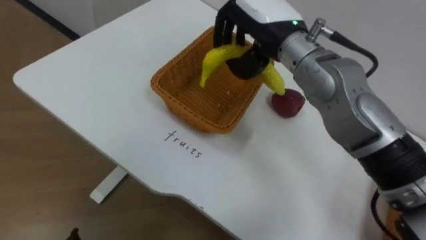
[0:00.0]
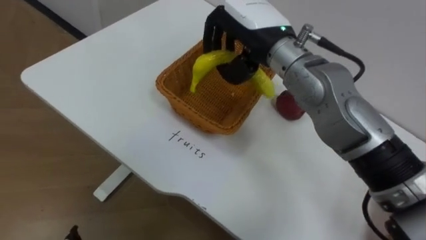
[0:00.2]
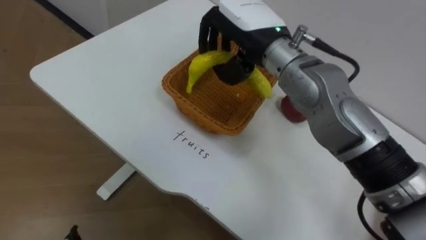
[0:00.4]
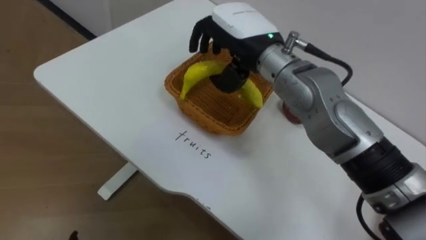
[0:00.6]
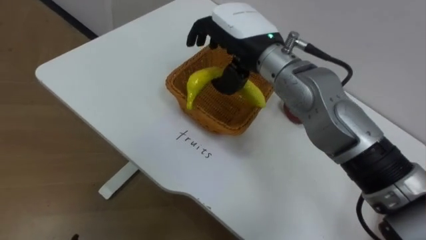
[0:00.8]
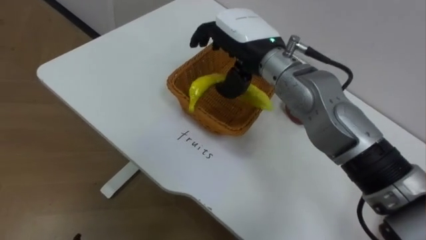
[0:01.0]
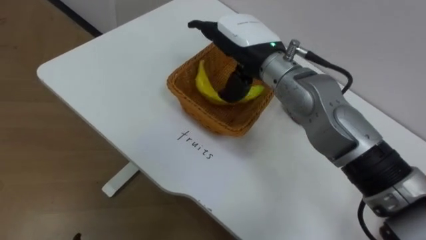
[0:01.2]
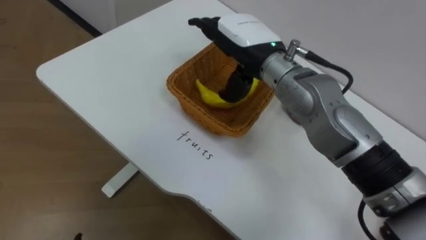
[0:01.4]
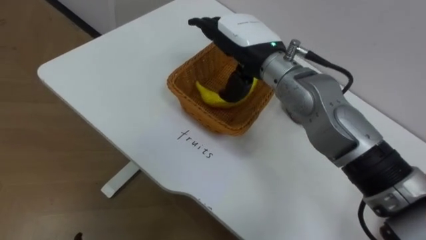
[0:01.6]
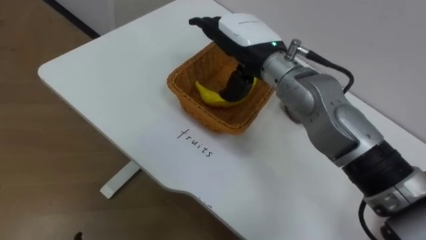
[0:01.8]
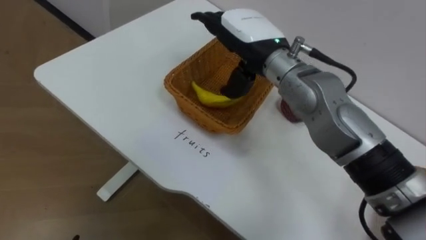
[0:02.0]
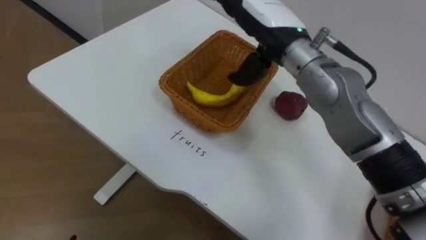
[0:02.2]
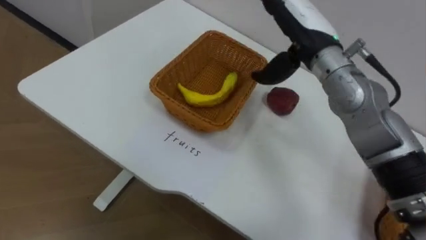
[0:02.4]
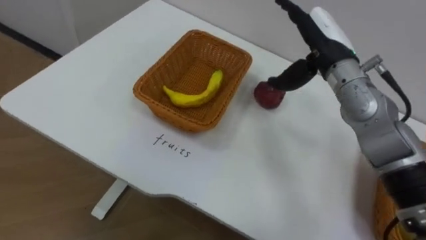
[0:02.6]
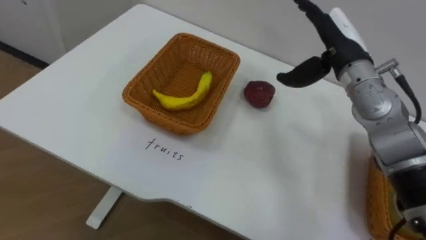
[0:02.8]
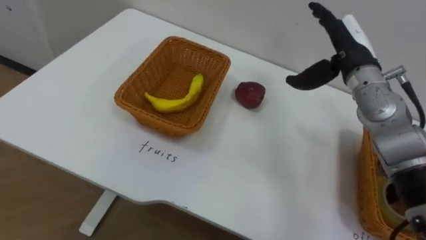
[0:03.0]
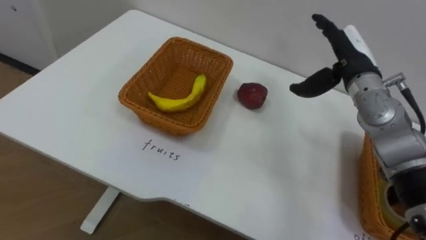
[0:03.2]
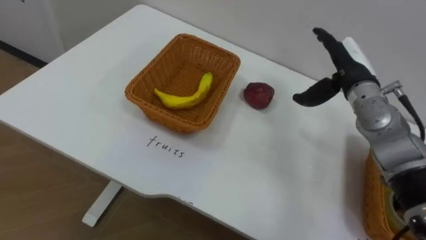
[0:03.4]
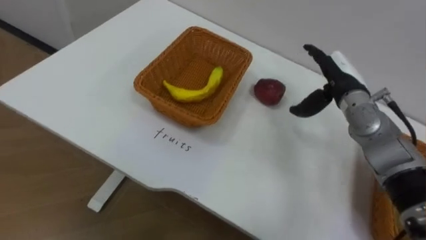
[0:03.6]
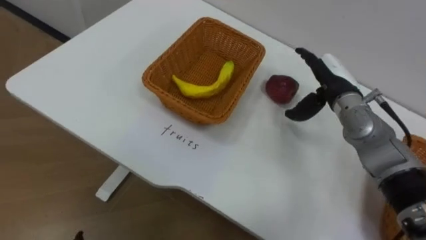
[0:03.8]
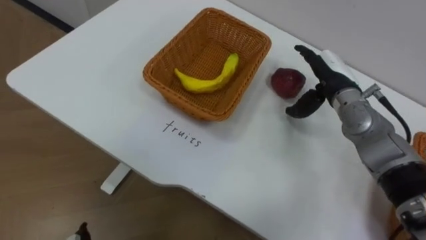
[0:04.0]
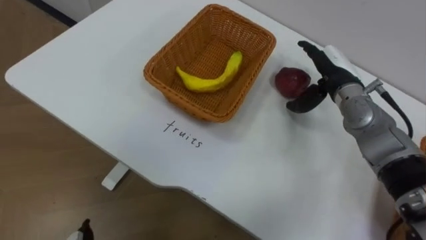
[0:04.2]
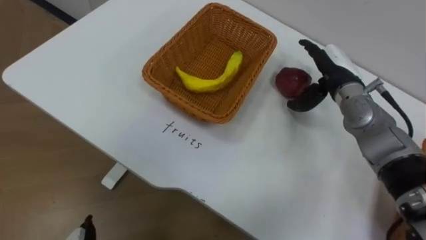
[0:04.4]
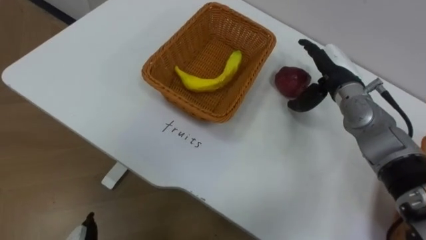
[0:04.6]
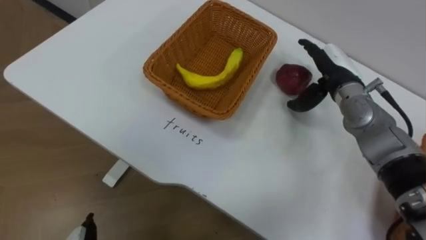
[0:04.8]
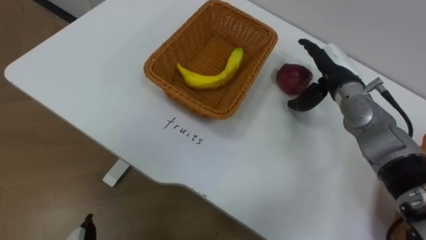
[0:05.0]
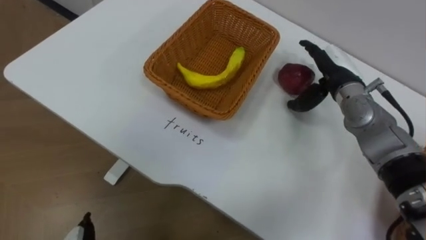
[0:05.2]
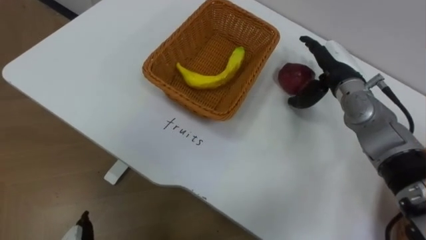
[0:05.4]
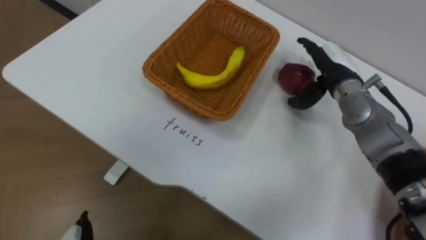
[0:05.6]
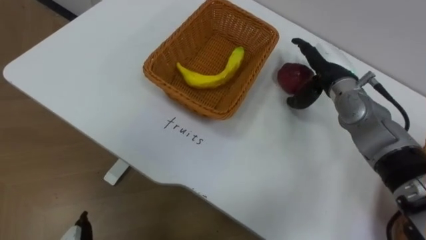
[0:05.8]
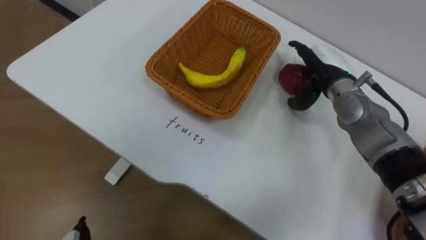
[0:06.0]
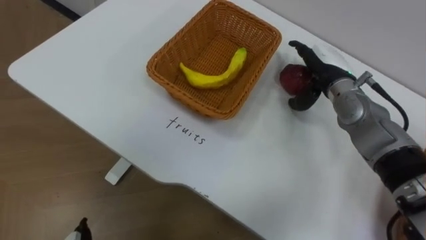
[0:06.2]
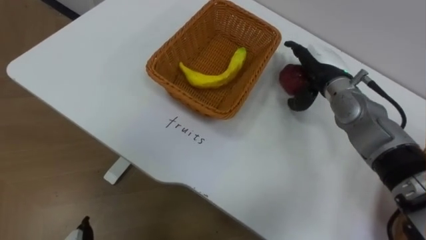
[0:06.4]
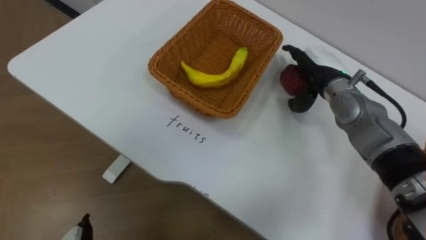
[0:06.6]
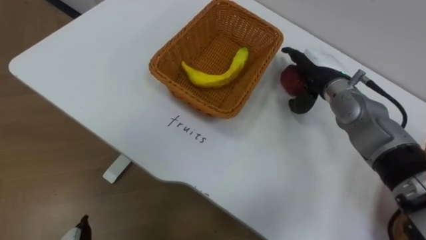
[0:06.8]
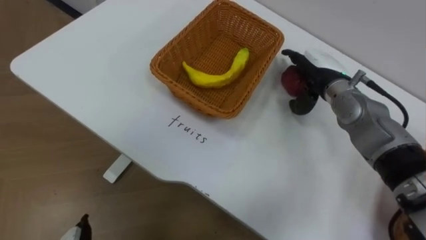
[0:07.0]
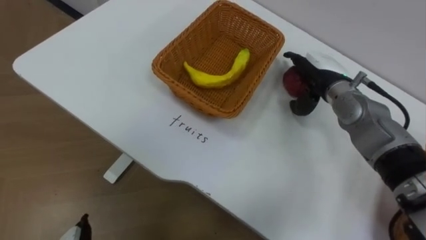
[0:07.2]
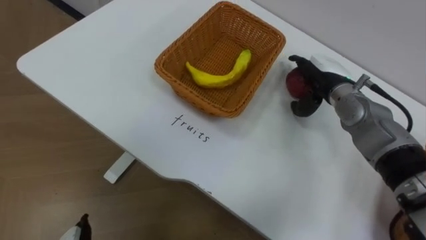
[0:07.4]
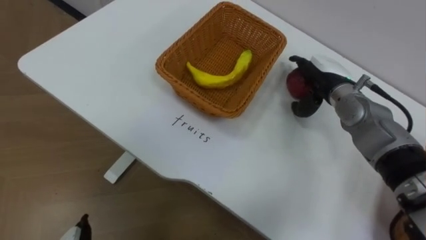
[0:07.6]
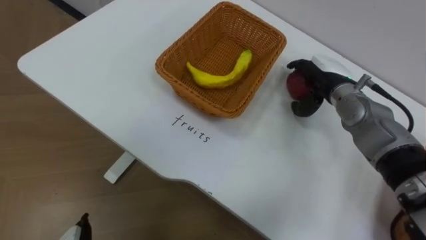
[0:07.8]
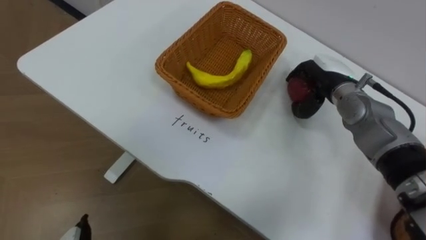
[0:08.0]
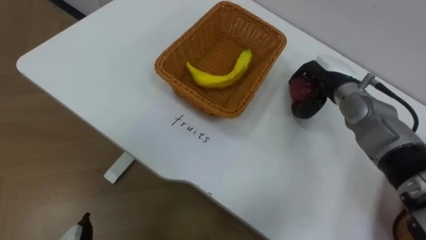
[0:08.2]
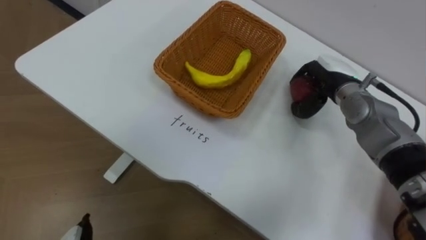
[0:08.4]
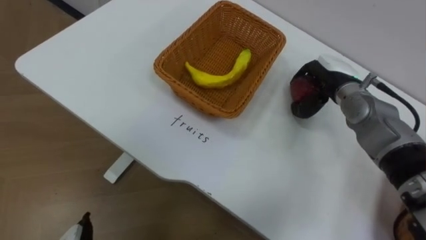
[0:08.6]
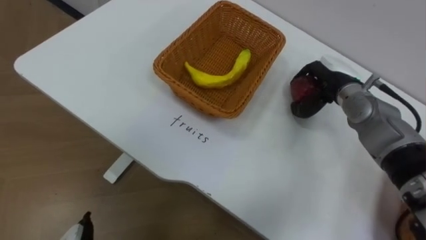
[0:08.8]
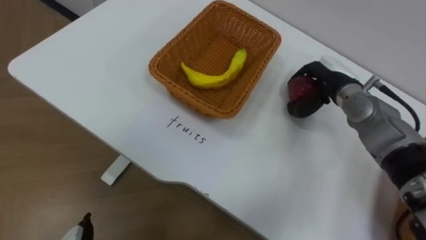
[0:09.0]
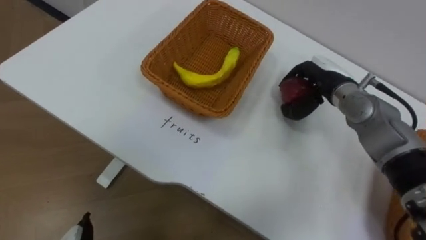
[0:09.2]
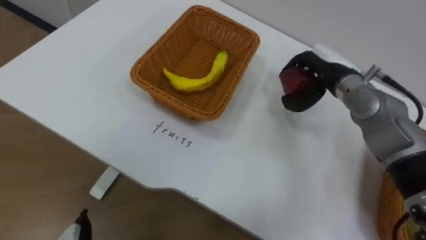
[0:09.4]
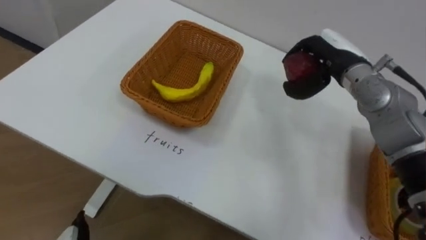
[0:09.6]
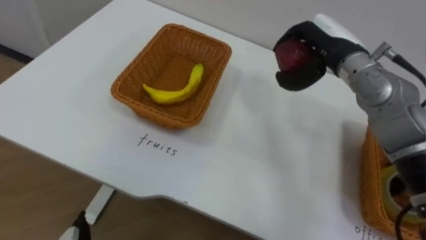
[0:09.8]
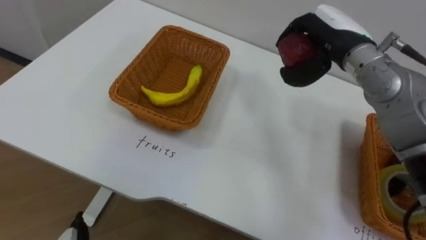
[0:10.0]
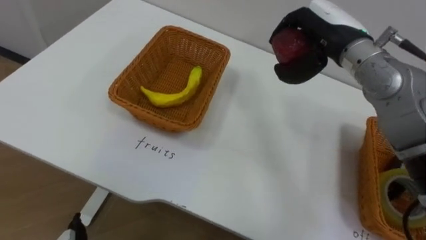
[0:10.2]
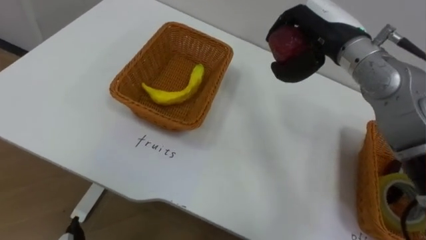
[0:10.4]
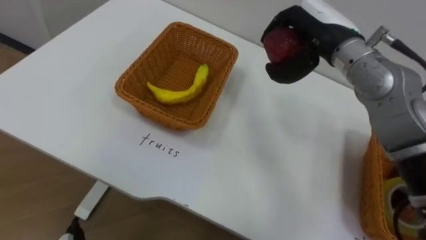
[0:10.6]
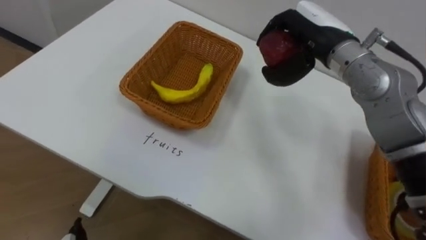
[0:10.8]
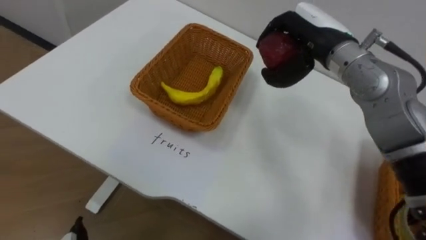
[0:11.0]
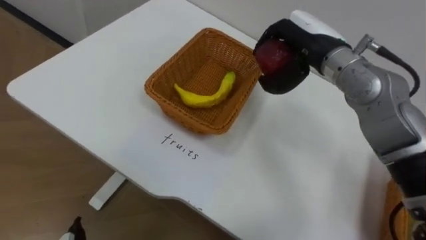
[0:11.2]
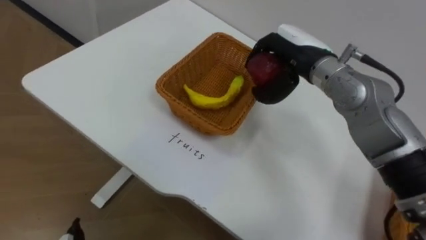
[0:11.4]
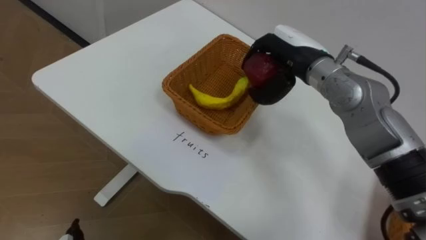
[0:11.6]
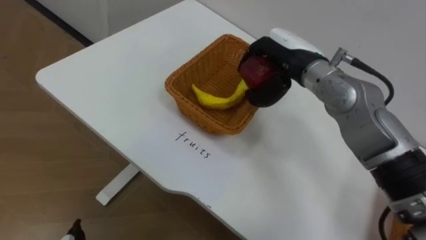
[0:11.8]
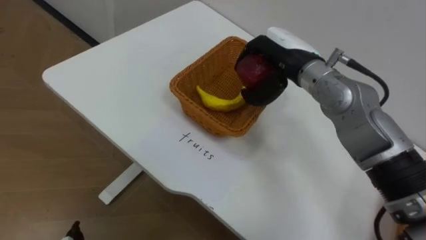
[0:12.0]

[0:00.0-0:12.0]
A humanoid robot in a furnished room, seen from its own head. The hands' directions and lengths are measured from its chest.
Task of the whole recording: Separate the items on the table and place them into the two baskets.
0:00.0 to 0:01.6: The right hand opens its fingers.
0:01.6 to 0:03.0: The right hand travels to the right by approximately 20 cm.
0:03.0 to 0:04.4: The right hand shifts some 5 cm downward.
0:07.6 to 0:09.0: The right hand closes.
0:09.0 to 0:10.4: The right hand heads upward, covering roughly 15 cm.
0:10.4 to 0:12.0: The right hand heads to the left, covering roughly 5 cm.

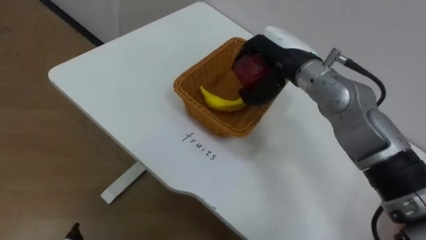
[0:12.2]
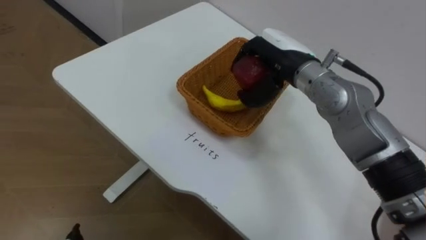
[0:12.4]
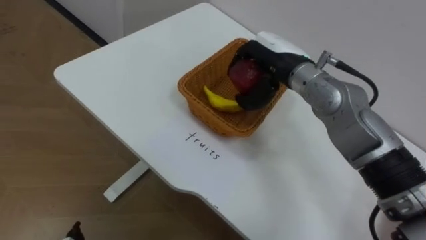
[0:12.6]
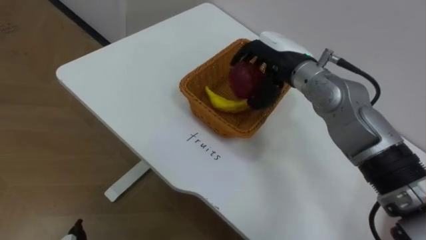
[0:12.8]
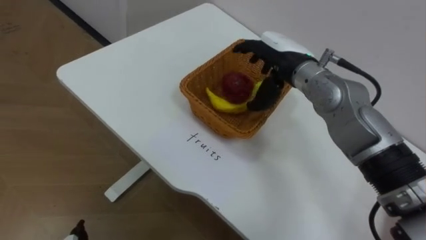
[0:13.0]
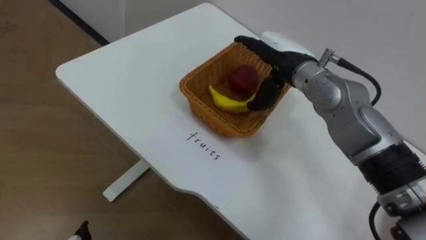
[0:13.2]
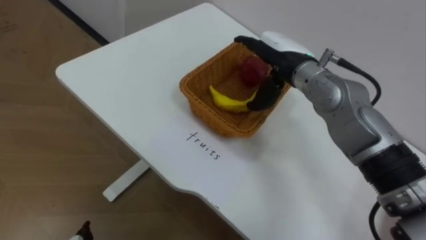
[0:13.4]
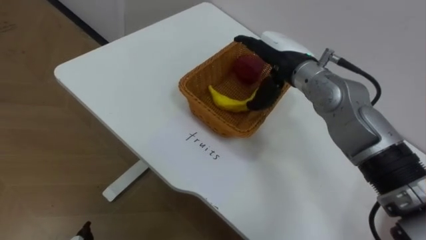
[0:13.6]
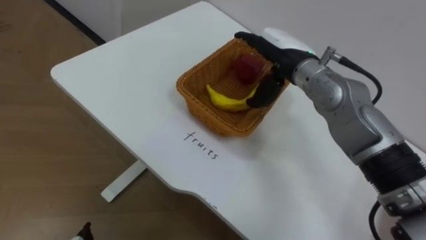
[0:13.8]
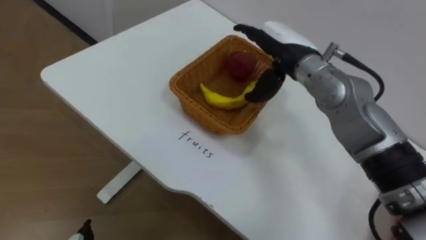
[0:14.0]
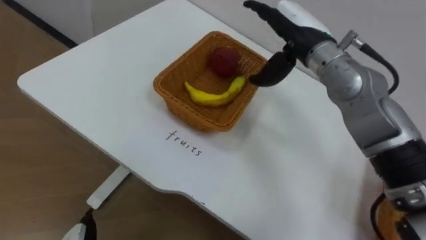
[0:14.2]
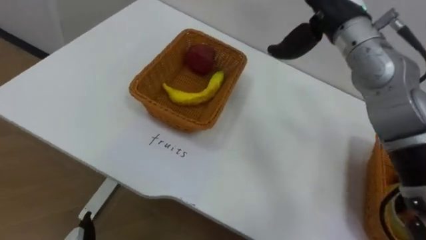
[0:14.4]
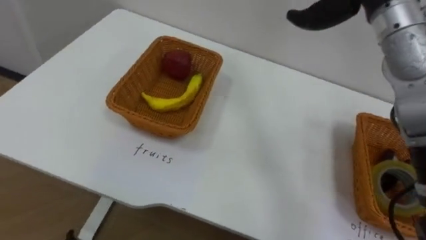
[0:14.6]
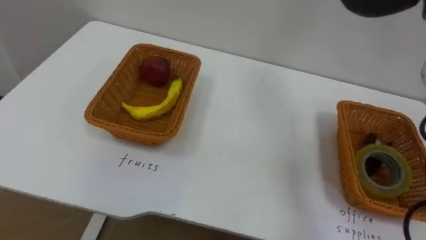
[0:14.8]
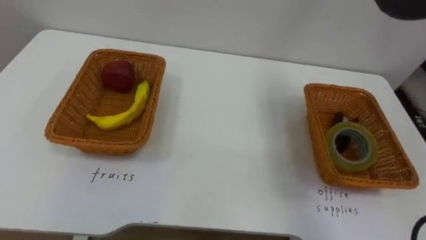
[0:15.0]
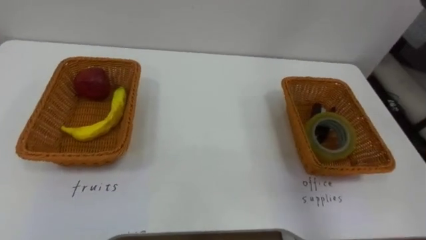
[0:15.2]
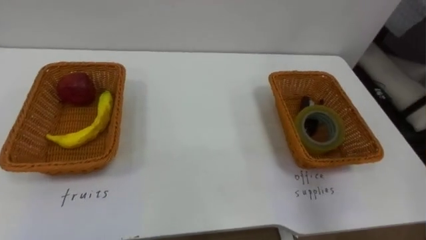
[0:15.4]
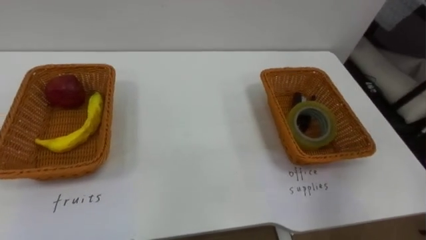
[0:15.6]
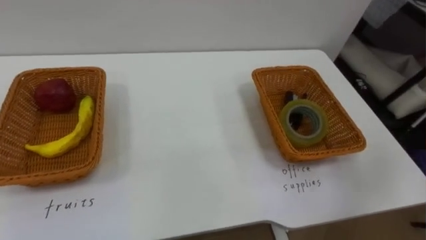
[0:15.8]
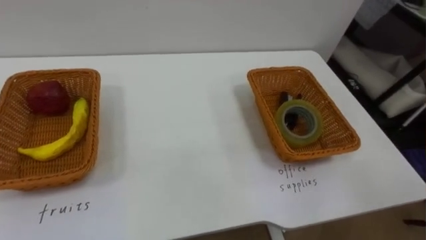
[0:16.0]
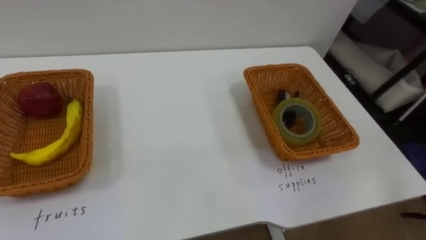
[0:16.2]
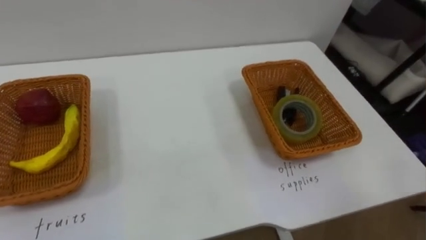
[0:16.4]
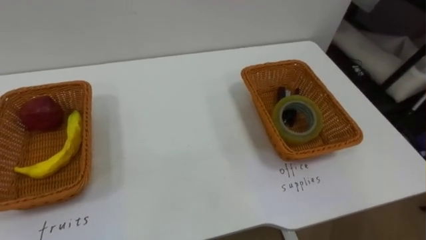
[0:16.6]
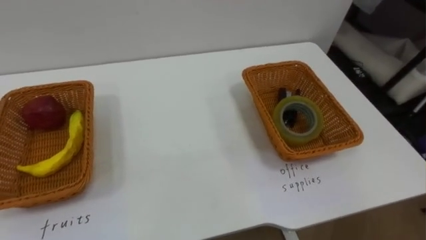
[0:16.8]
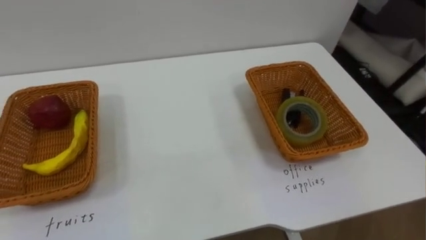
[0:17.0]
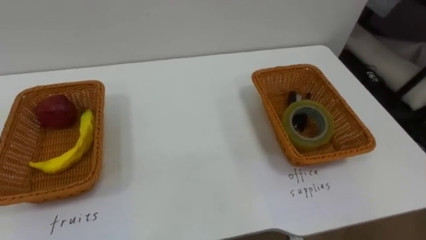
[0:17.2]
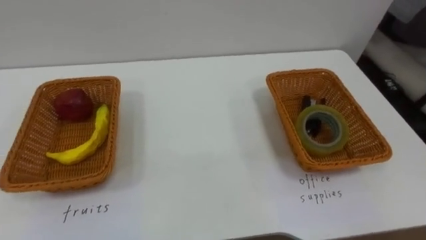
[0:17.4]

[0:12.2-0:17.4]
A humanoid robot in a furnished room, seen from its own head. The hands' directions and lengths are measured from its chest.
Task of the whole recording: Separate the items on the table and place them into the two baskets.
0:12.2 to 0:14.0: The right hand opens up.
